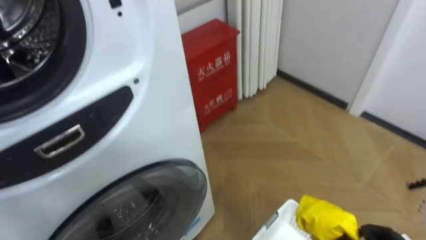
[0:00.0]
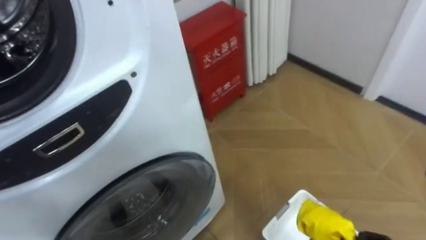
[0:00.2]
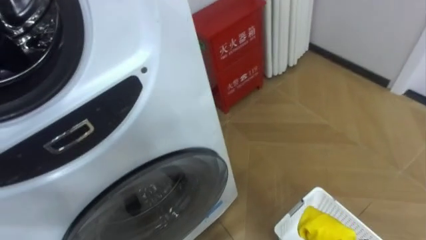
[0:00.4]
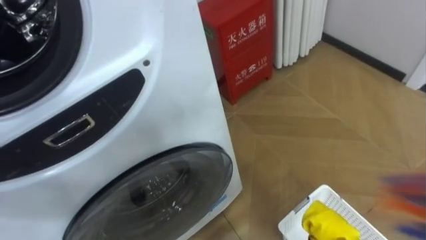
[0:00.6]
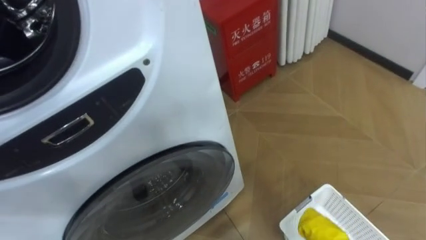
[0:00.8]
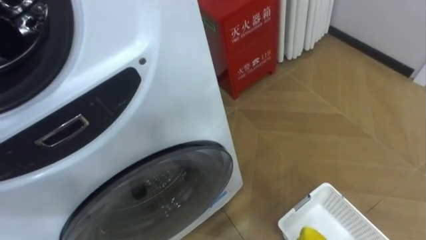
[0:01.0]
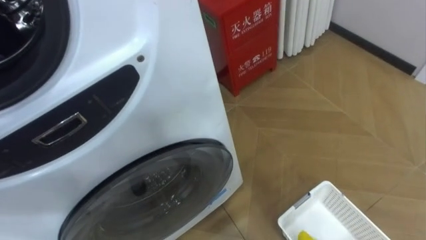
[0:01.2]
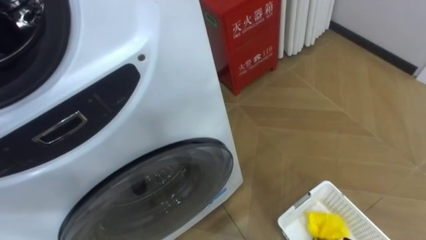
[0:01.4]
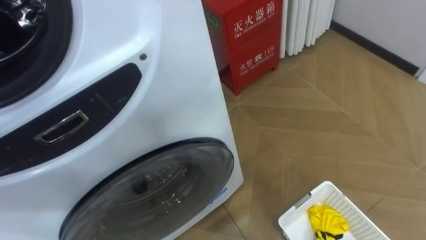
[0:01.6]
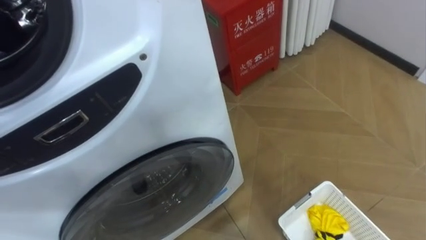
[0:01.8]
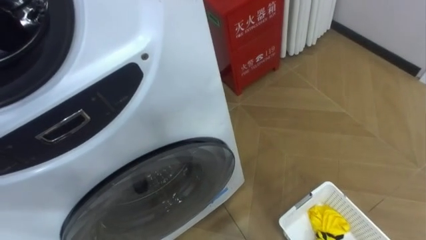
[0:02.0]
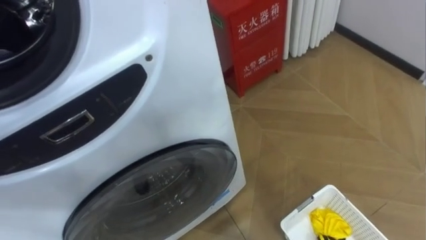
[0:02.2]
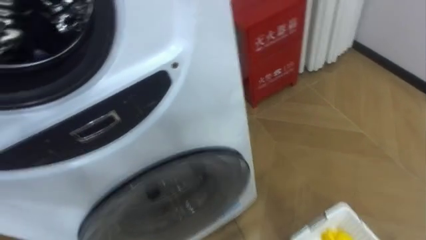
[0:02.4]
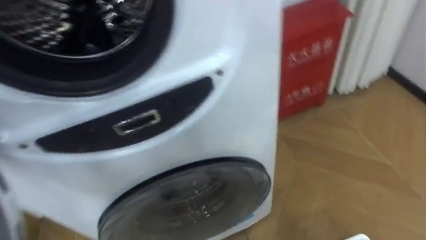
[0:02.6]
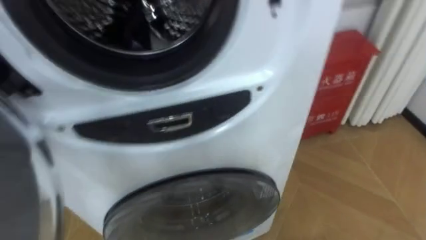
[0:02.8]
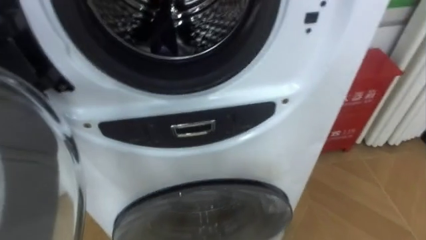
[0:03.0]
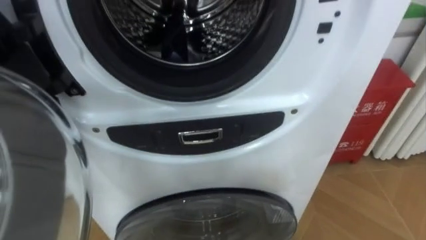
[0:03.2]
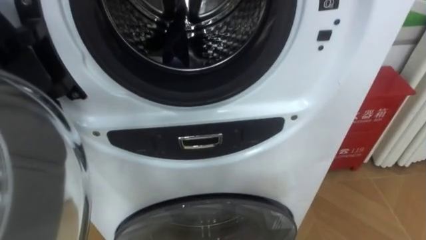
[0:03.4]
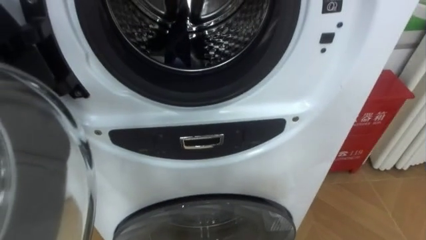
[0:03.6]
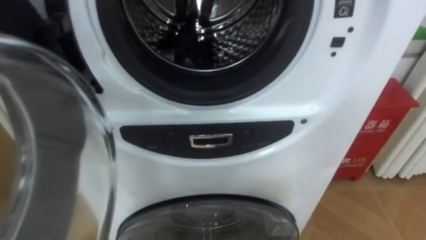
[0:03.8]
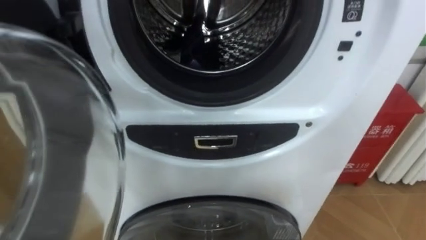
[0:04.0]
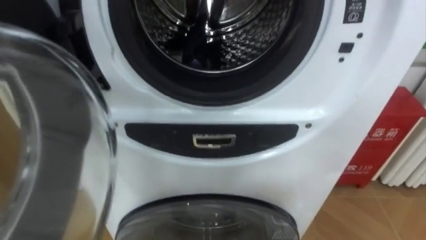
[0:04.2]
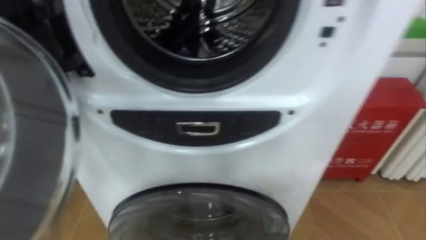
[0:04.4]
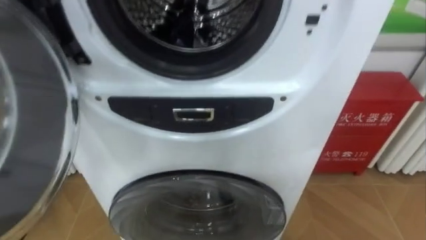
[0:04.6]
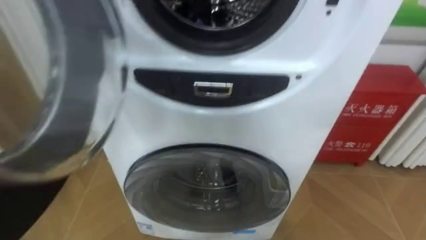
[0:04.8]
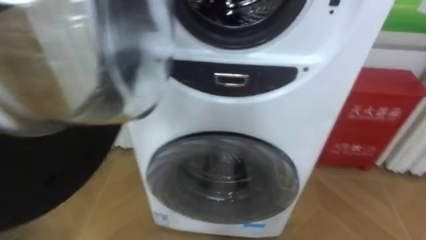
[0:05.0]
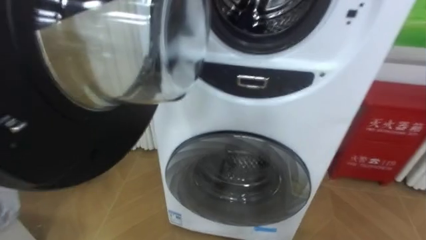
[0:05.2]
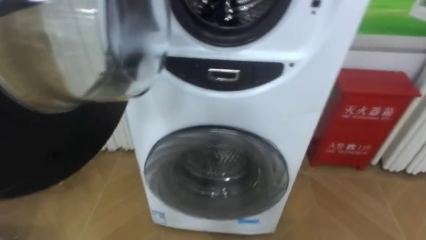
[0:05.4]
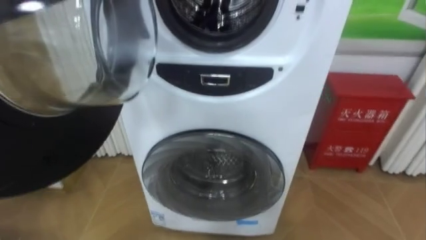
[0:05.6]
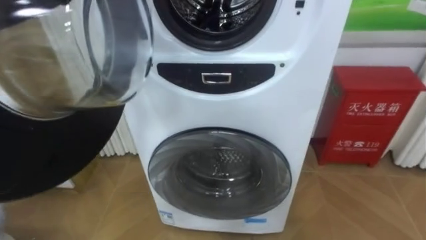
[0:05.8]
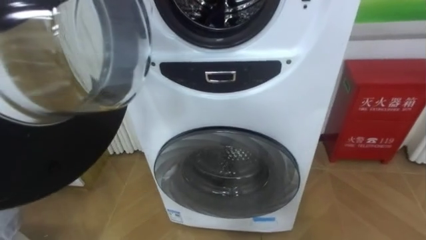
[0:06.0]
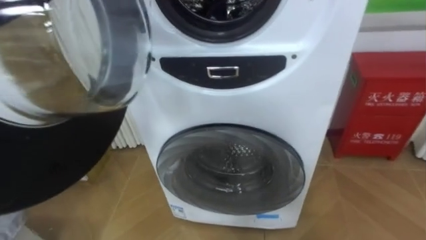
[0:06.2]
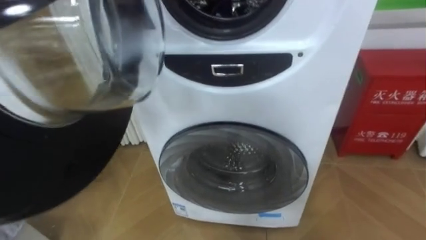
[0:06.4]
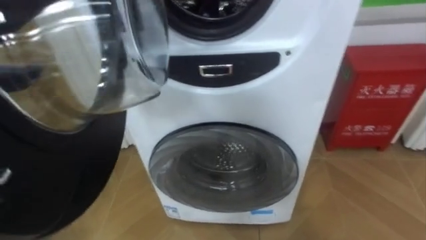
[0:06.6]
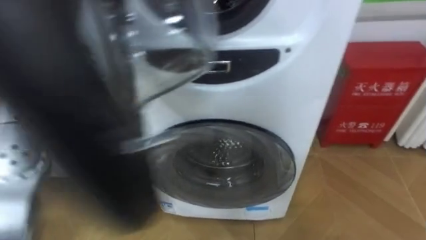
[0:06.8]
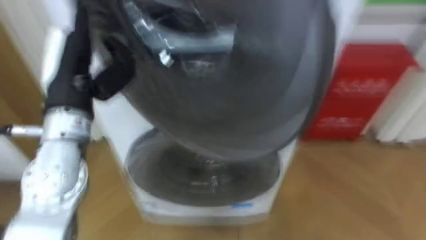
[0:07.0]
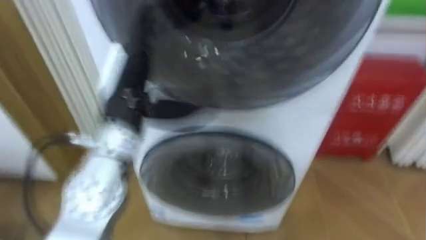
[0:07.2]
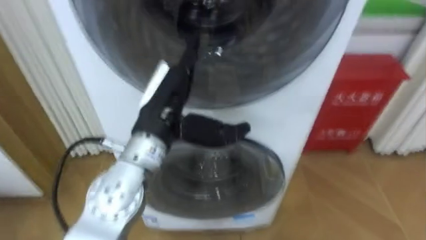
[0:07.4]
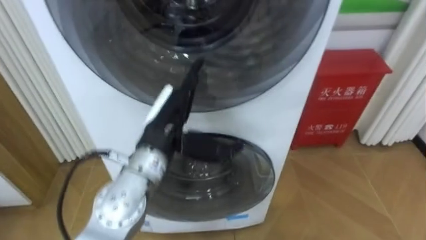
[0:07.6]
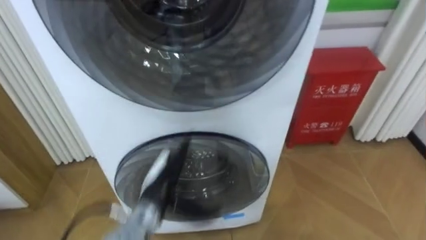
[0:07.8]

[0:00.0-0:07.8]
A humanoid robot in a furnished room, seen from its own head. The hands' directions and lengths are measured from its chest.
Task of the whole recording: Open the washing machine door, take out the yellow clothes, place them in the box on the right, and close the washing machine door.
0:01.6 to 0:03.2: The robot's body swings roughly 15 degrees to its left.

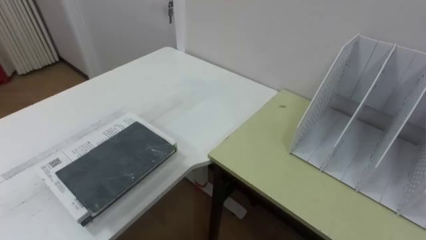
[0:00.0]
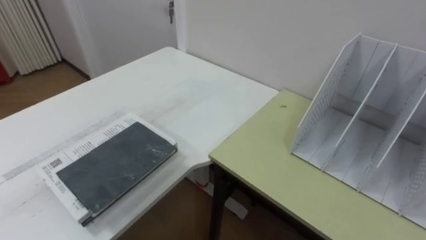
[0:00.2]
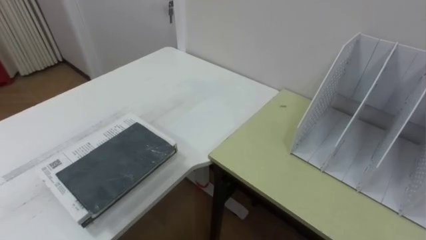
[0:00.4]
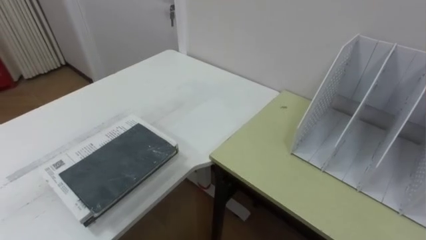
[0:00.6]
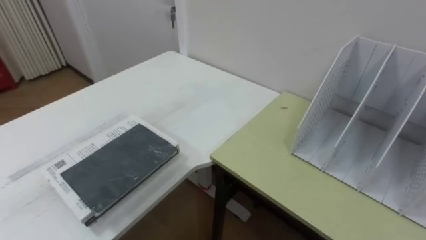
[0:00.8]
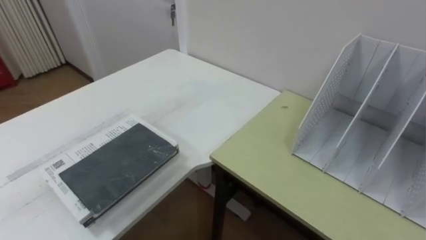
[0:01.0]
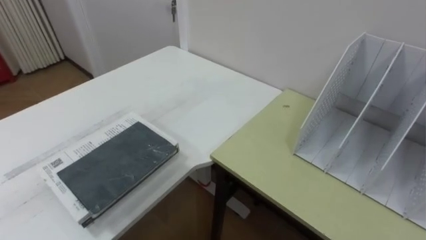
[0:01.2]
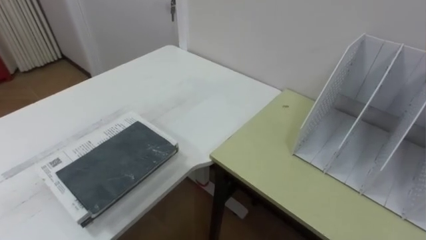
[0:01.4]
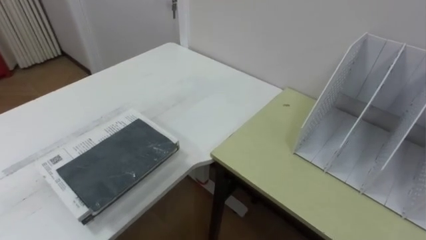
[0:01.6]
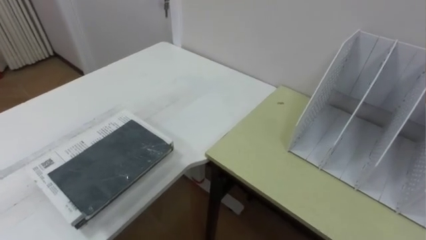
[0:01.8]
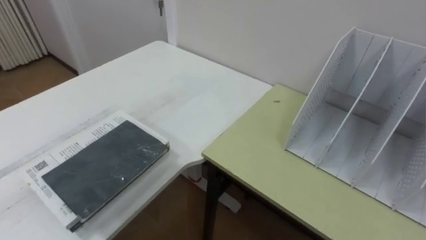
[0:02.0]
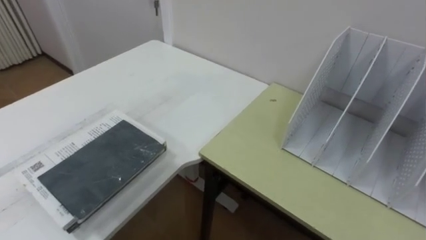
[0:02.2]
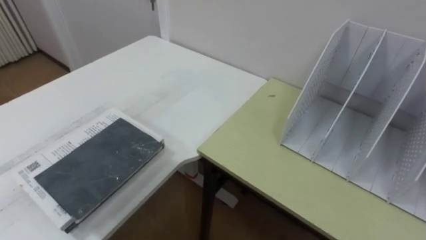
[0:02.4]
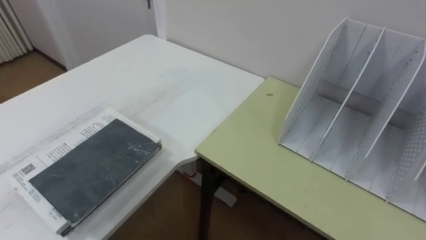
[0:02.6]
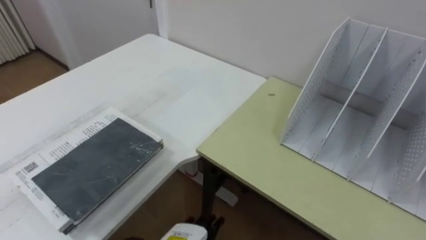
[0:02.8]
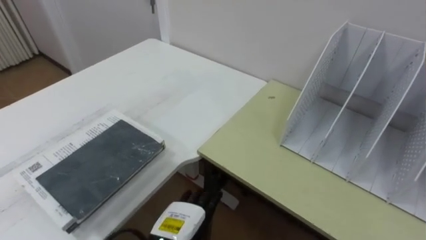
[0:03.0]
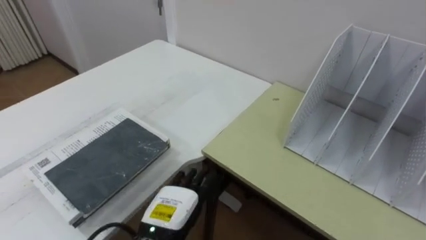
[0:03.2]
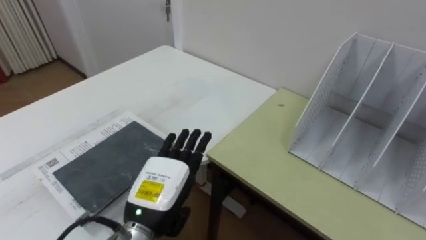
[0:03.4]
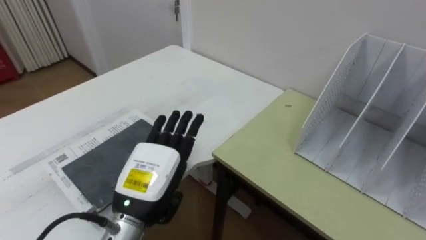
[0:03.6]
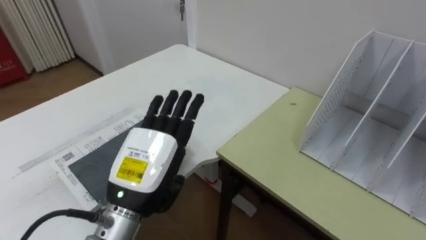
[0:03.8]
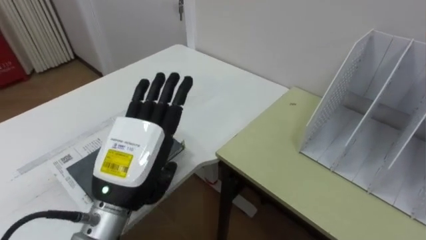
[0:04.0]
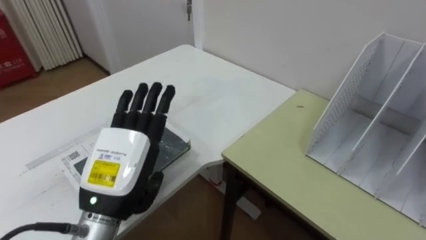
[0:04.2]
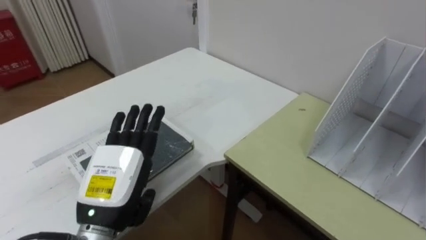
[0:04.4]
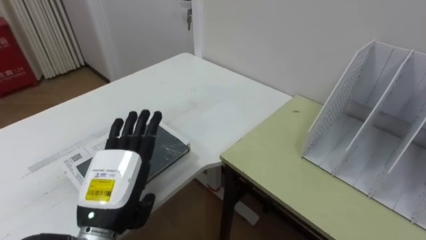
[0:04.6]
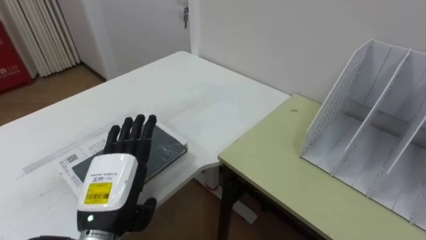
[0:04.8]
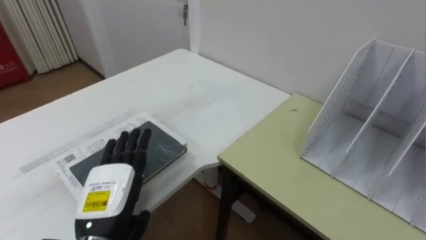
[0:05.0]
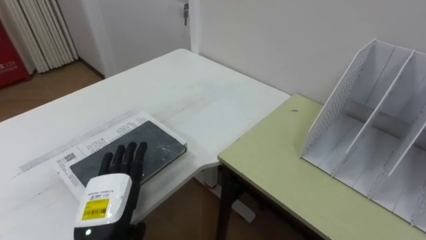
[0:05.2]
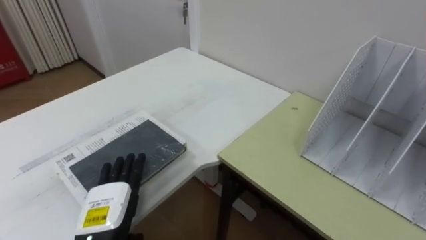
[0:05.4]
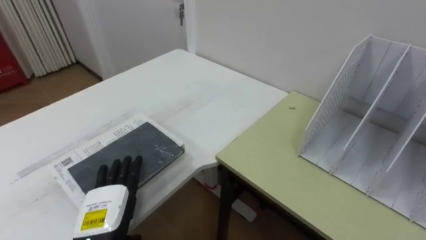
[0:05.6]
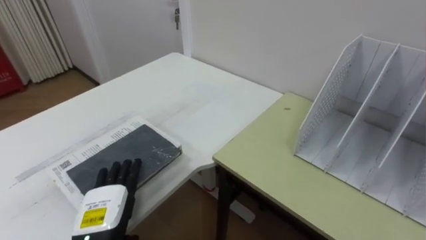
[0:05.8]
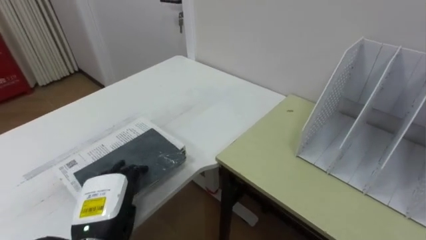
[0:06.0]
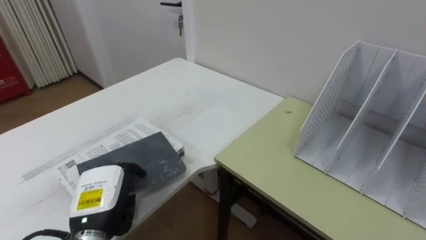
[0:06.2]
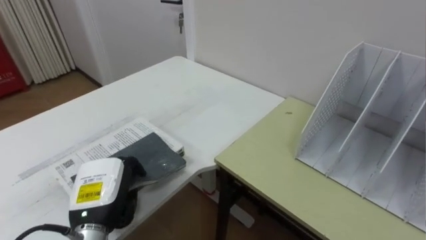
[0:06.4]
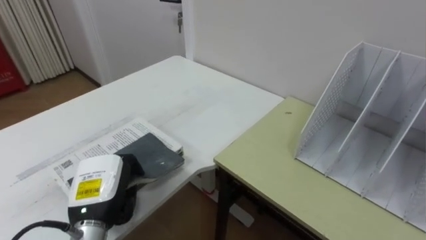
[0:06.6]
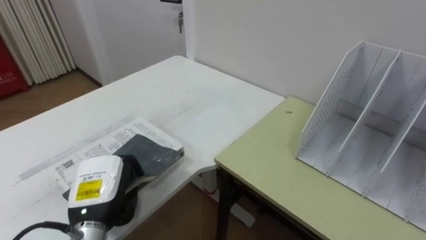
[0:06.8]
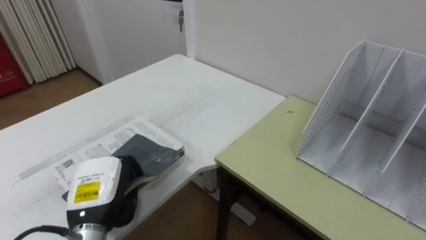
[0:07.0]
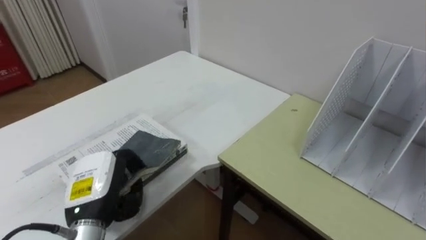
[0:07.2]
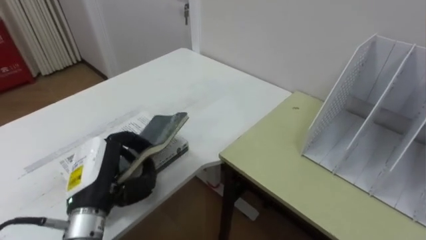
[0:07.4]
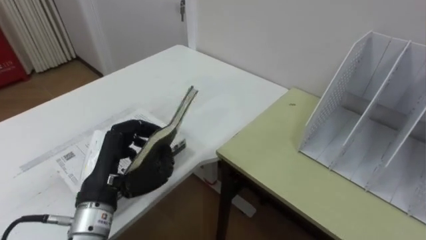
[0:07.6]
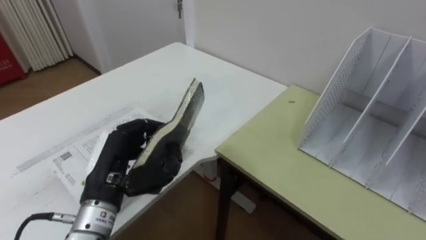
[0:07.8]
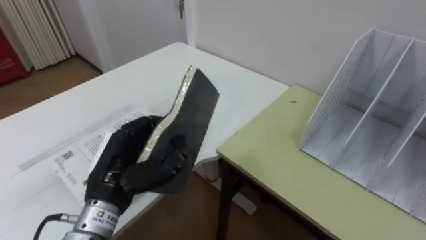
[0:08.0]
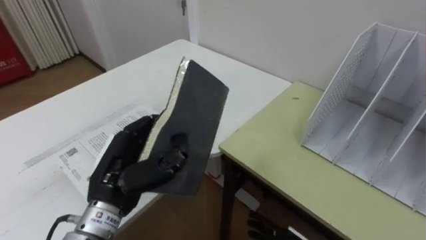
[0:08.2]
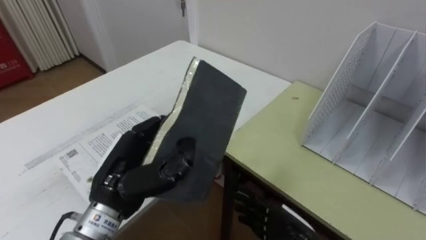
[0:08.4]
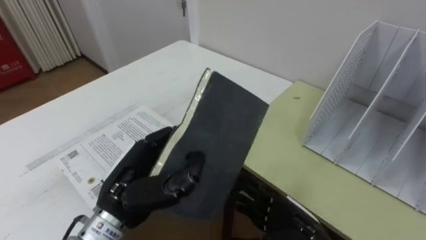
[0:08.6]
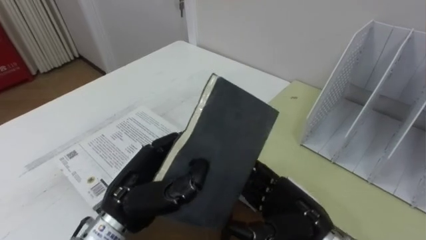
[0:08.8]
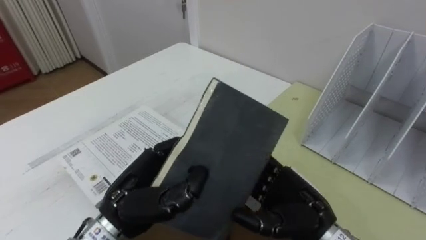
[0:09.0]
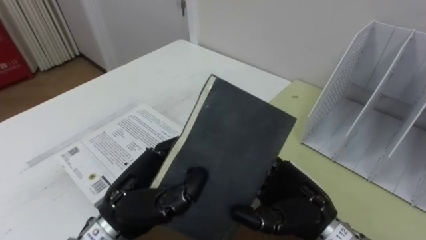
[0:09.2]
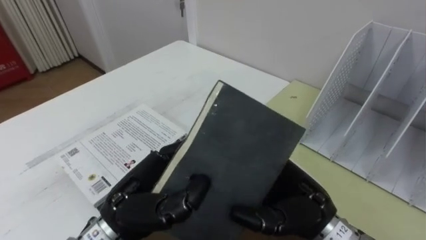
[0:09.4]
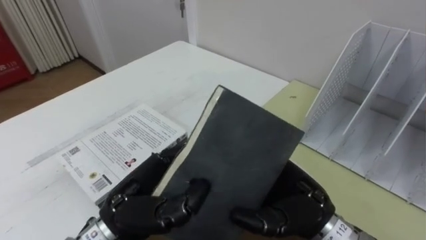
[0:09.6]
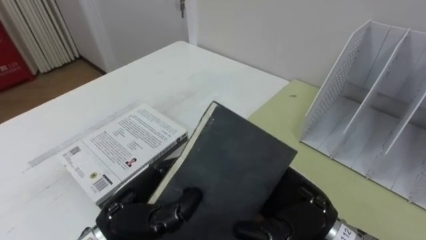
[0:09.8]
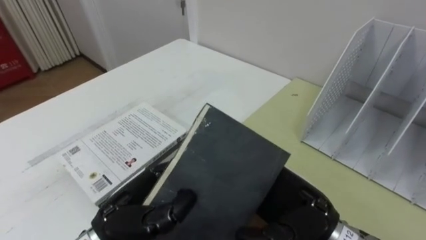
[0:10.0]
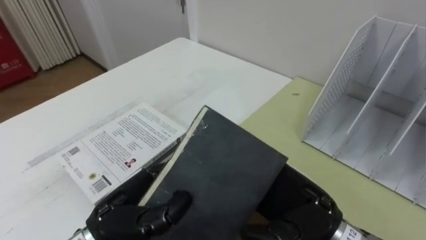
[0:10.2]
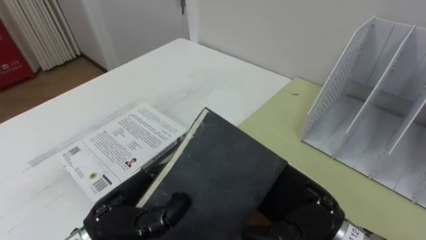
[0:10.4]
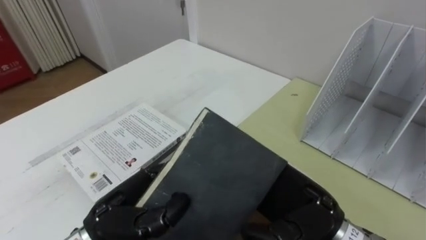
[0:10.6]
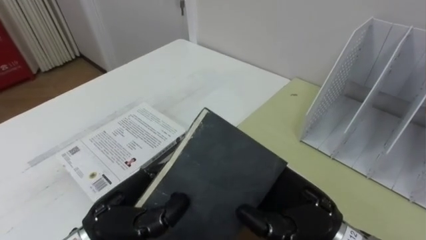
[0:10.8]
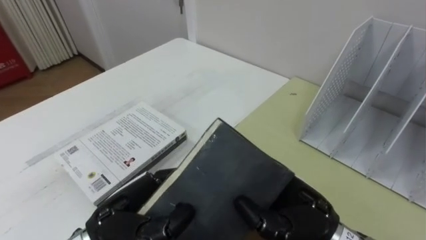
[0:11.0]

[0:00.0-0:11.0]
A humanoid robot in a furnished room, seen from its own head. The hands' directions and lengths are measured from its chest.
Task of the whole recording: Put the books on the table onto the bookshelf.
0:03.2 to 0:04.8: The left hand moves upward and to the left, approximately 15 cm.
0:04.8 to 0:06.2: The left hand shifts approximately 5 cm downward, and closes.
0:06.2 to 0:07.8: The left hand is displaced upward by approximately 10 cm.
0:07.8 to 0:09.4: The left hand travels to the right by some 5 cm.
0:09.4 to 0:11.0: The right hand closes.
